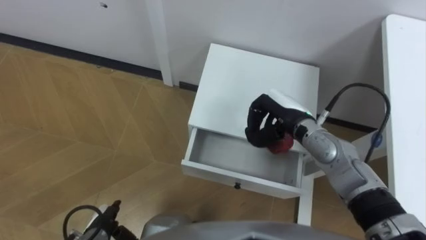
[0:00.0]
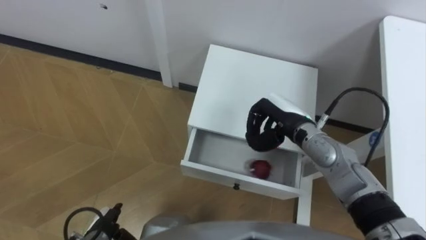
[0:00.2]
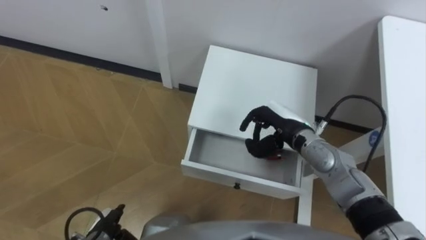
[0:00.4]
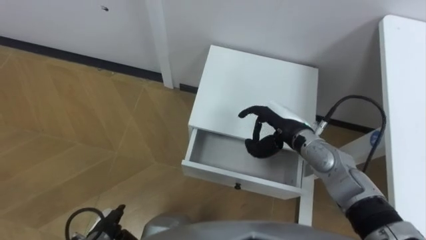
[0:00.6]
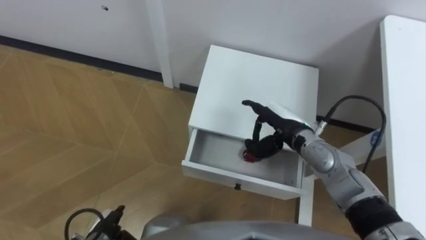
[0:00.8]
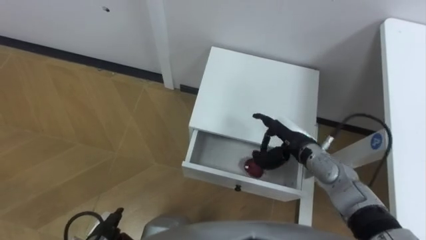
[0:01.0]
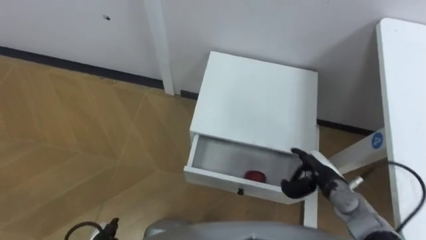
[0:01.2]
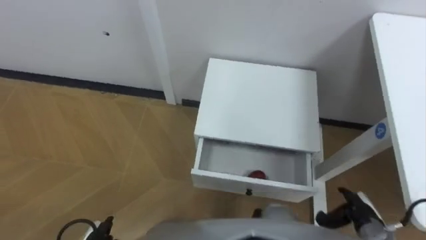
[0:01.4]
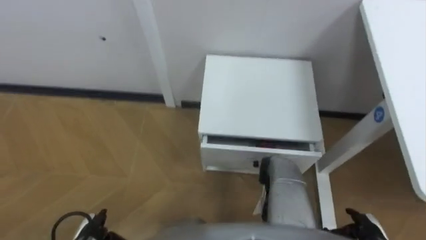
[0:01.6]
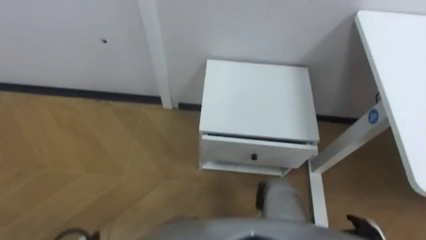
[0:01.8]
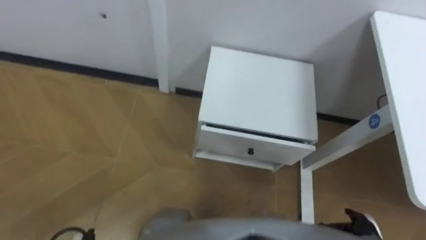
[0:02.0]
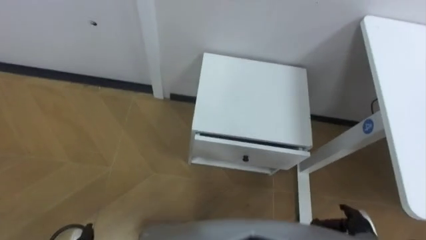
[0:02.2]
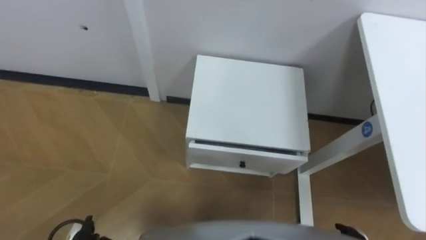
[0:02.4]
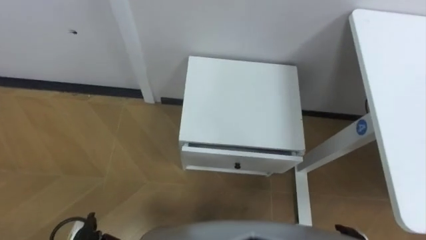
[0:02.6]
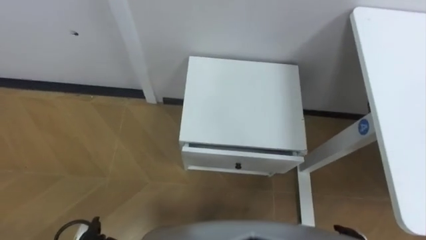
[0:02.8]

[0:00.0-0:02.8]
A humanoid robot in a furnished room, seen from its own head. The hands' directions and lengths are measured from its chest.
Task of the whole recording: Pick up the apple from the table, put it in the drawer, and close the drawer with leg.
0:00.0 to 0:01.4: The right hand heads backward, to the right and downward, covering roughly 30 cm, and opens up.
